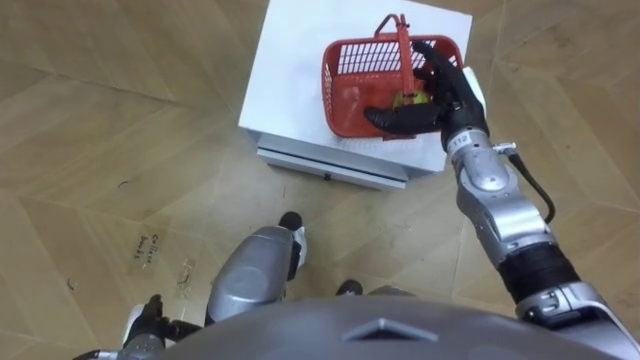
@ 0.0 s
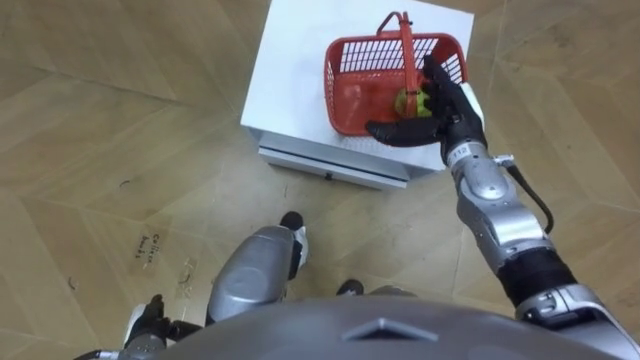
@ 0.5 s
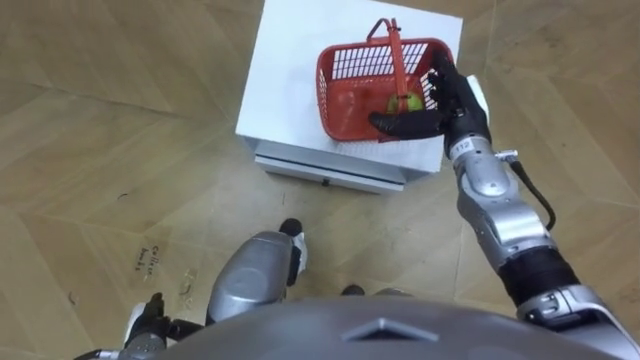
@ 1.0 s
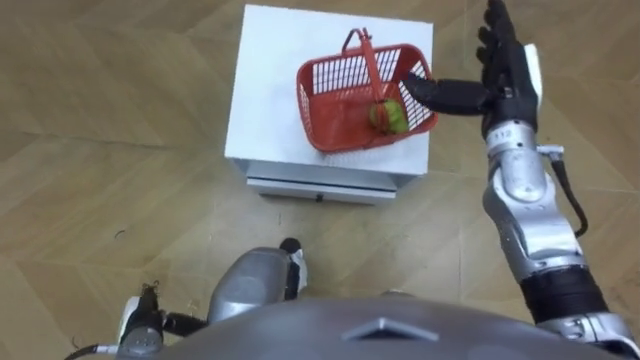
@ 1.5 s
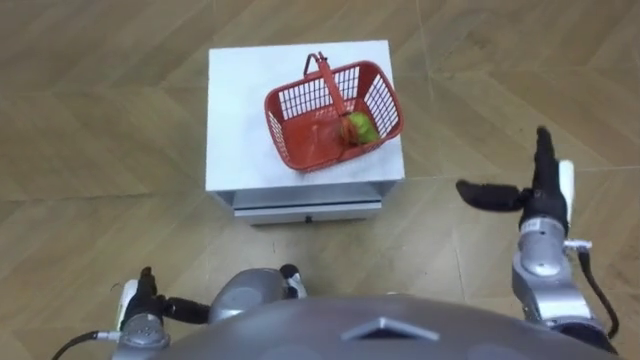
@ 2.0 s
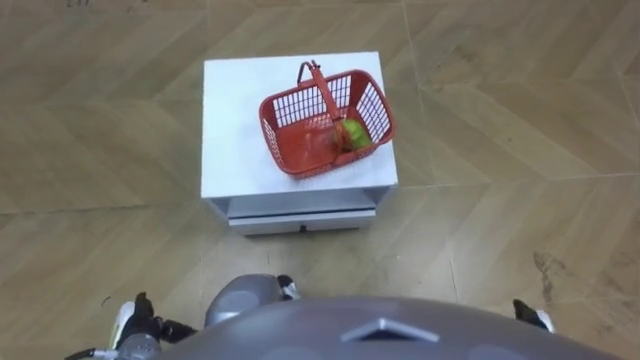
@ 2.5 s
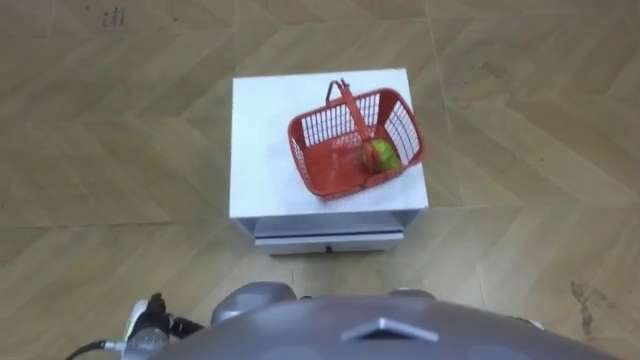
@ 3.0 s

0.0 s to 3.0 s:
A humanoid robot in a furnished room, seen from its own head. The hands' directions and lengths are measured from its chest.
Task of the whole recording: Pick up the fruit basket from the floor and place it on the cabinet.
0.0 to 1.5 s: The right hand shifts by some 5 cm.
1.5 to 3.0 s: The right hand heads backward and downward, covering some 35 cm.

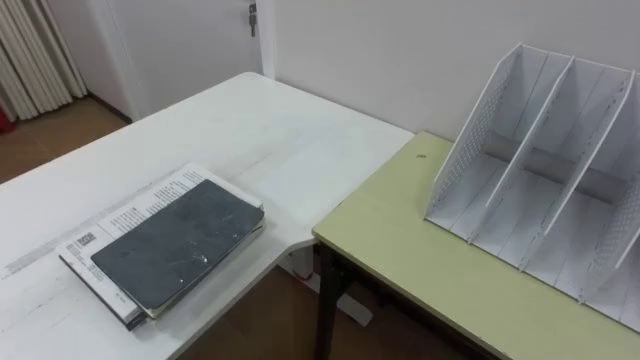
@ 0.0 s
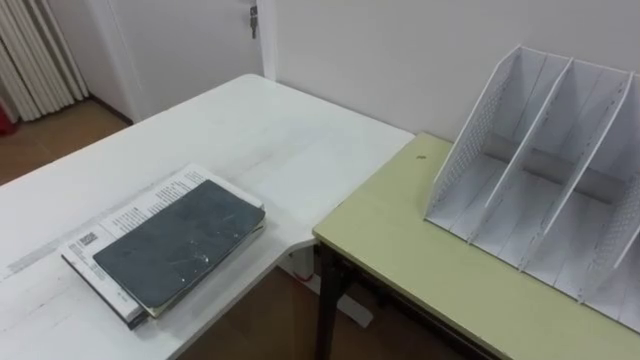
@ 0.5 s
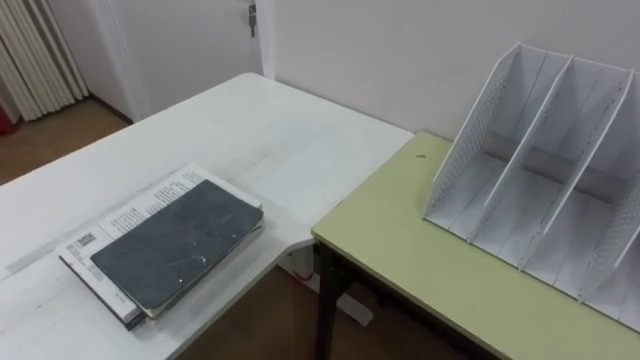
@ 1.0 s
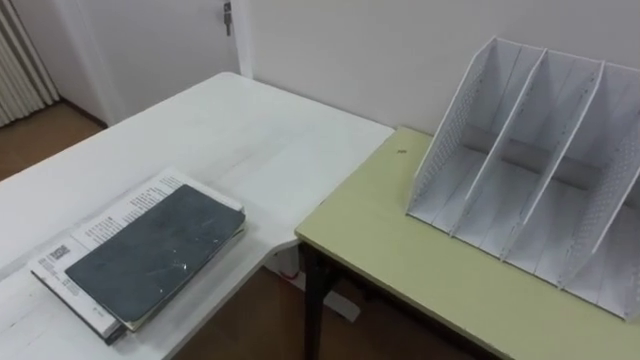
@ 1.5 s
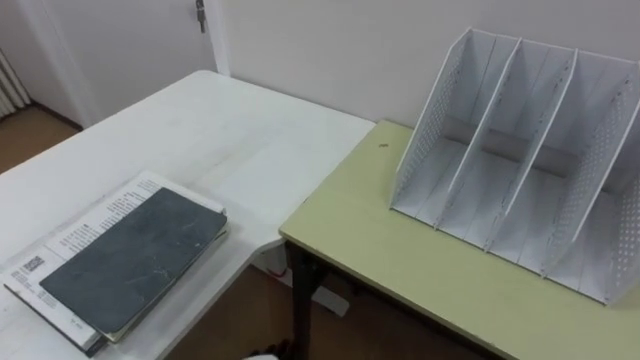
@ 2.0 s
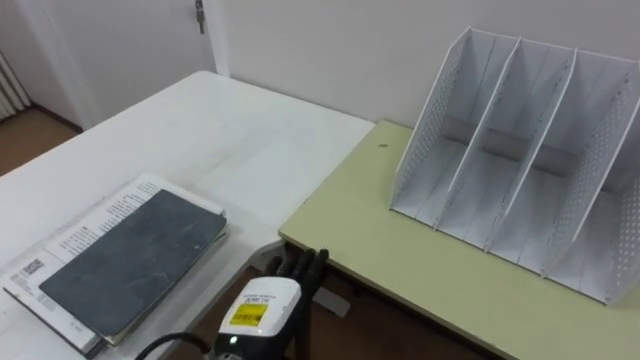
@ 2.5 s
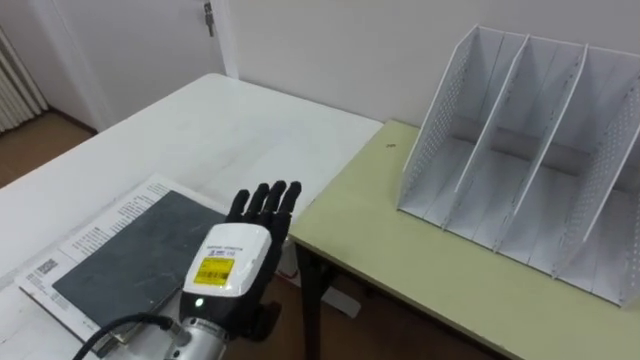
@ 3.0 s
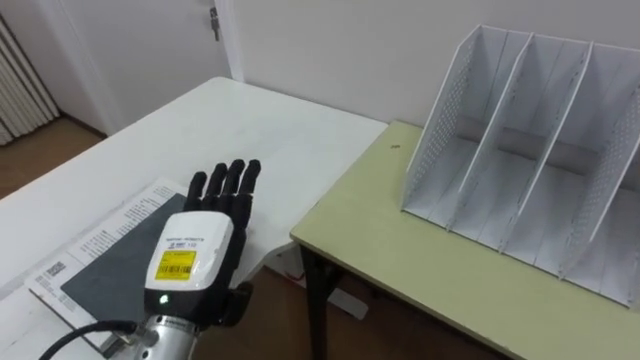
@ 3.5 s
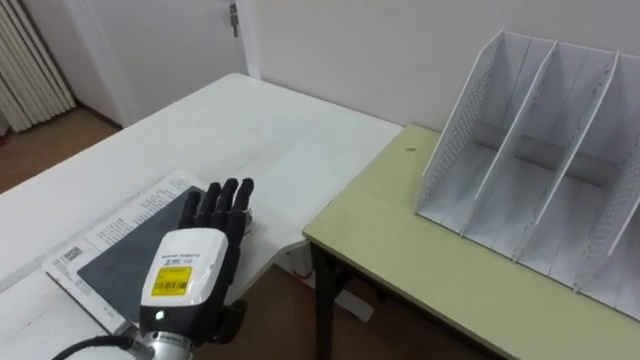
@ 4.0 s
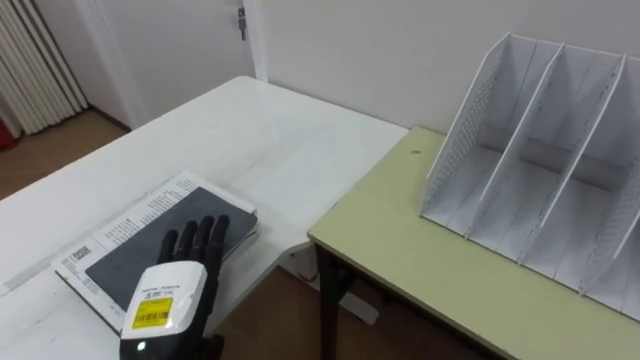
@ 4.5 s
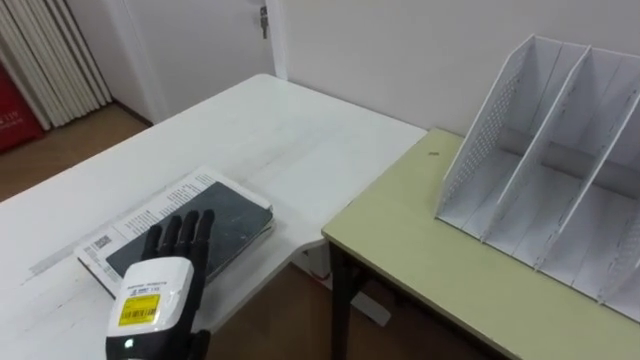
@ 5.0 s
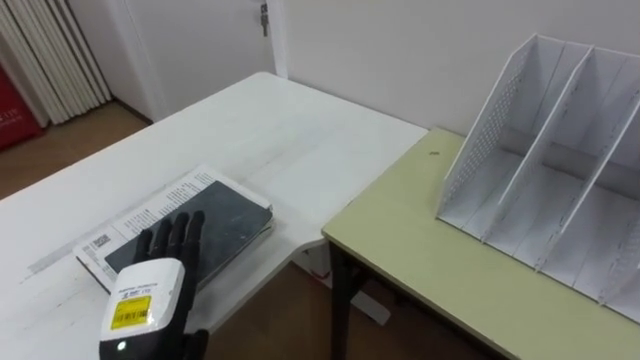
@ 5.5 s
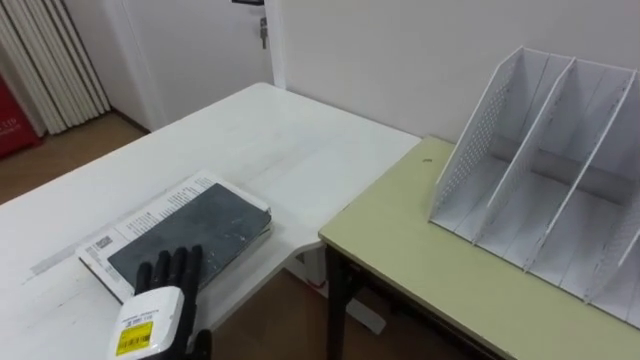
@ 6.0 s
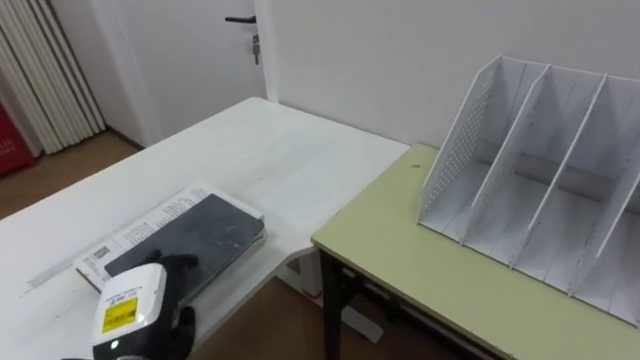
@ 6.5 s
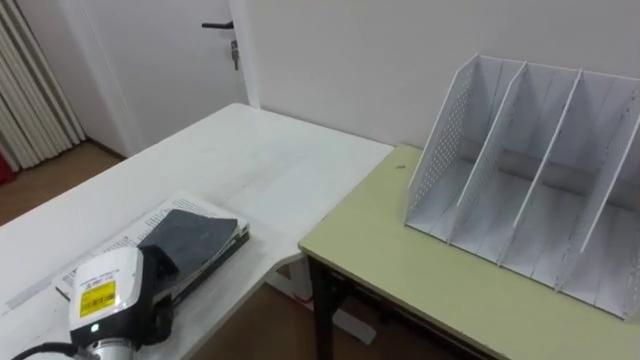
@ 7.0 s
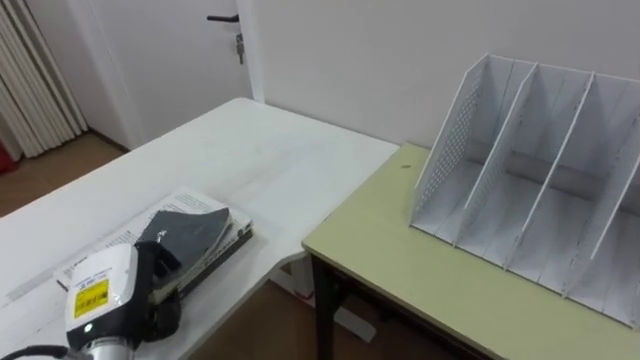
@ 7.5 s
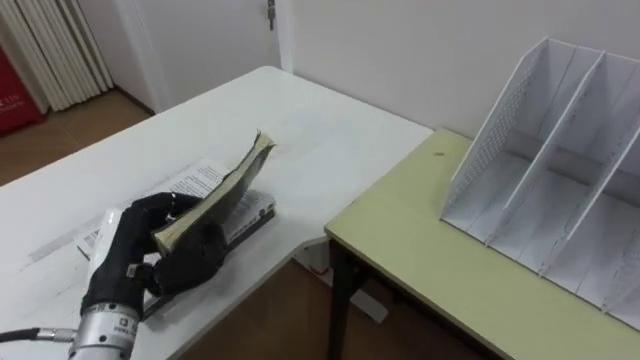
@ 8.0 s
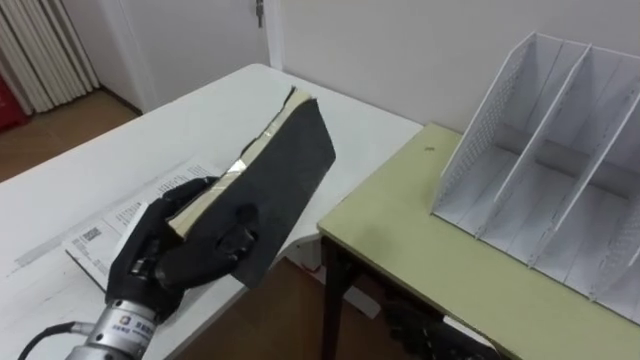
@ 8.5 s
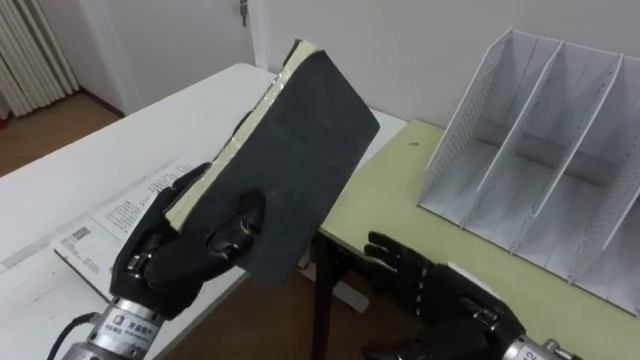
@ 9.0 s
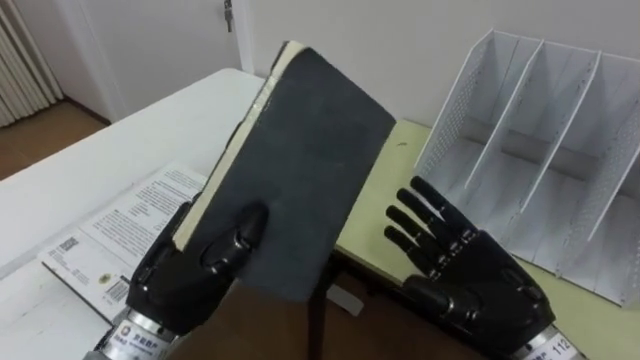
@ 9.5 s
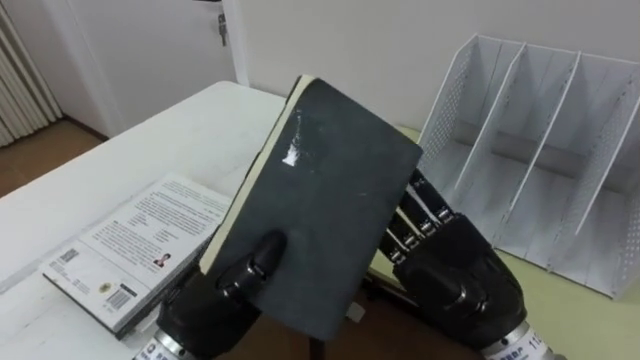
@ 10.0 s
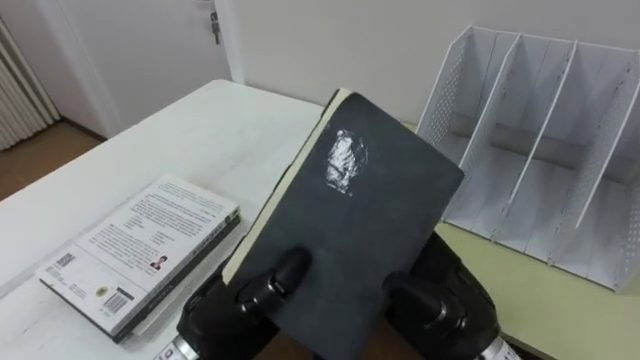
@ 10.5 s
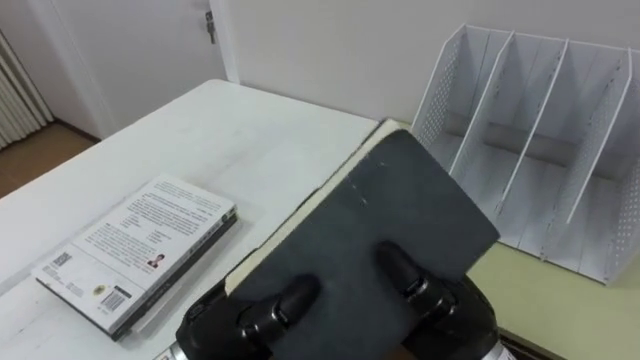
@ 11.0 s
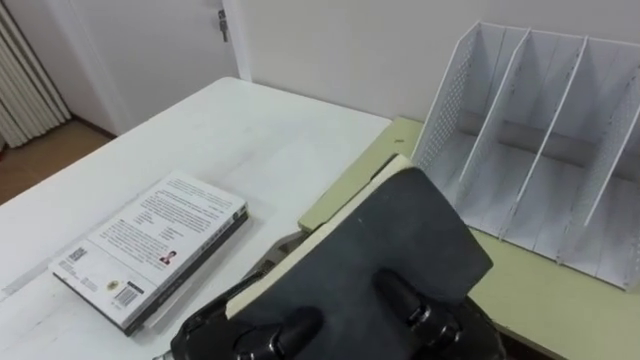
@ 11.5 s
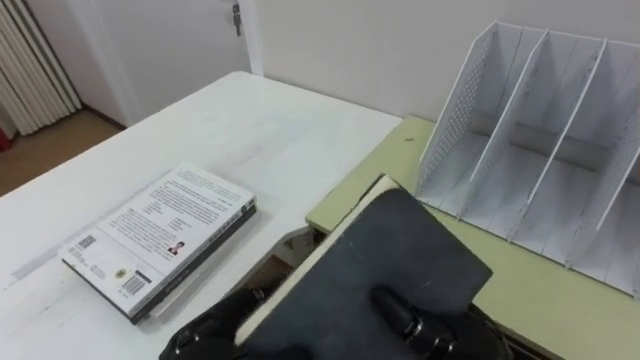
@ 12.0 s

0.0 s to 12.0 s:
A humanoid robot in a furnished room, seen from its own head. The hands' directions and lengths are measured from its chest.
Task of the whole recording: Put the books on the table onto the bookshelf.
4.0 to 6.0 s: The left hand travels downward and to the left by about 10 cm.
6.0 to 8.0 s: The left hand moves upward, approximately 10 cm, and closes up.
8.0 to 10.0 s: The left hand travels to the right by about 10 cm.
10.0 to 12.0 s: The right hand shifts by some 5 cm, and closes; the left hand shifts by about 5 cm.

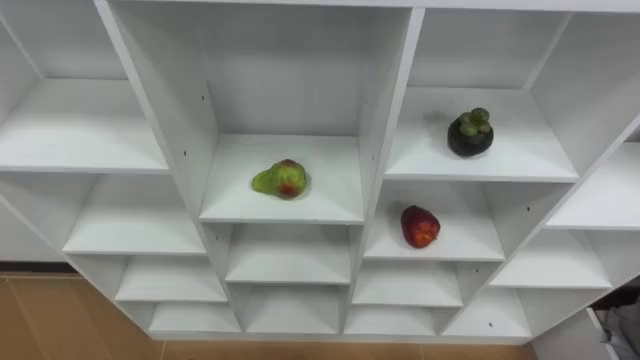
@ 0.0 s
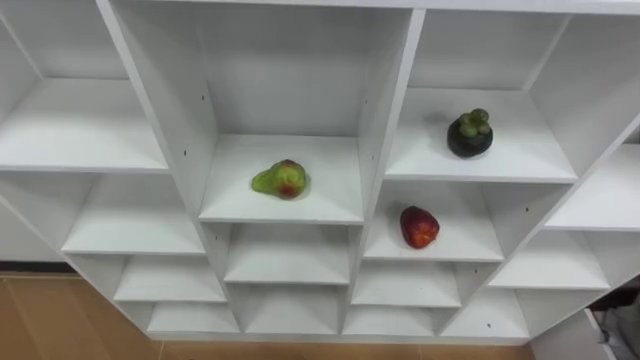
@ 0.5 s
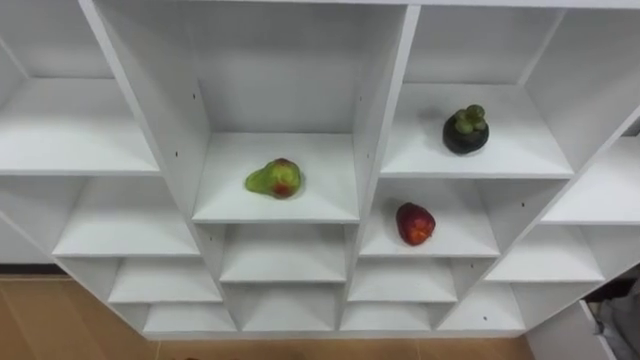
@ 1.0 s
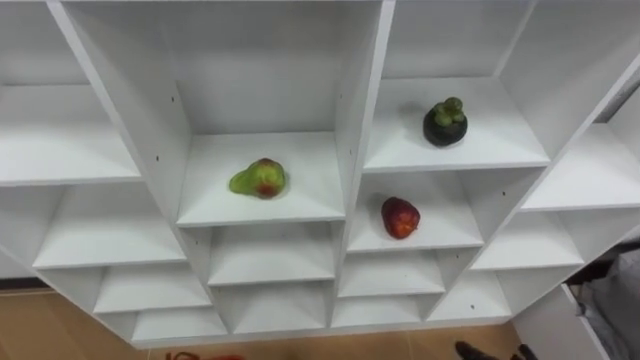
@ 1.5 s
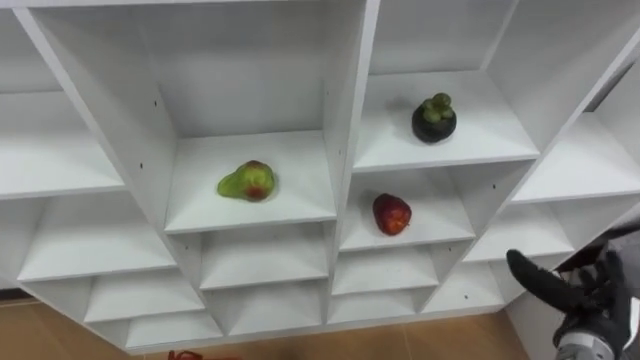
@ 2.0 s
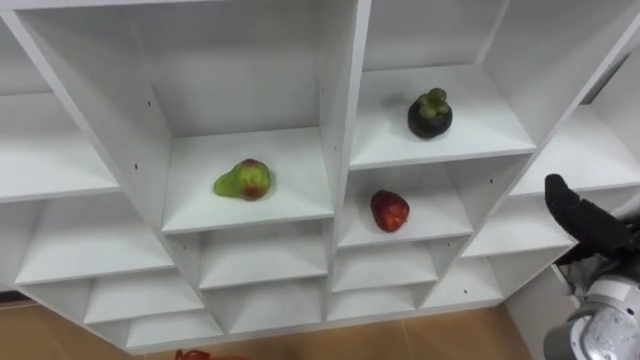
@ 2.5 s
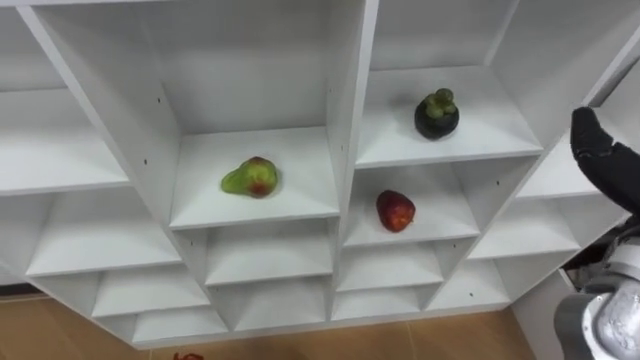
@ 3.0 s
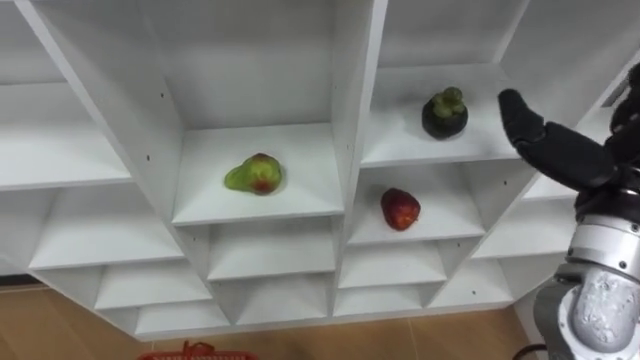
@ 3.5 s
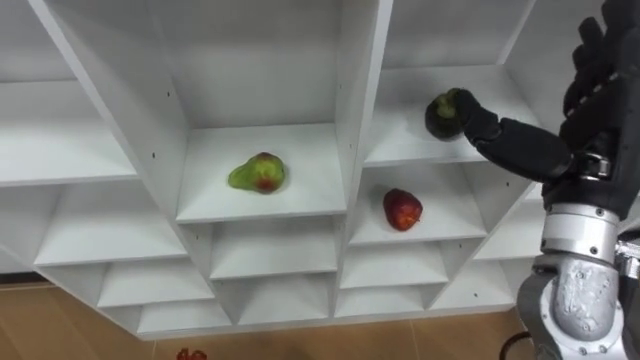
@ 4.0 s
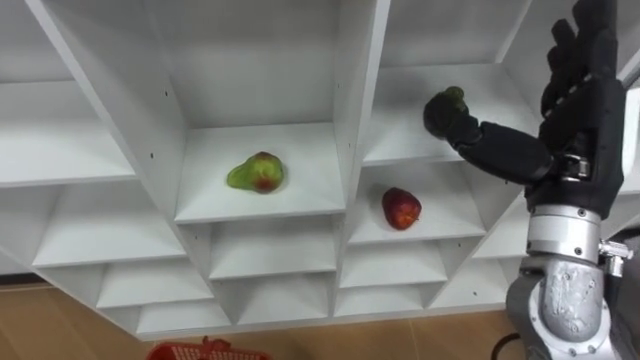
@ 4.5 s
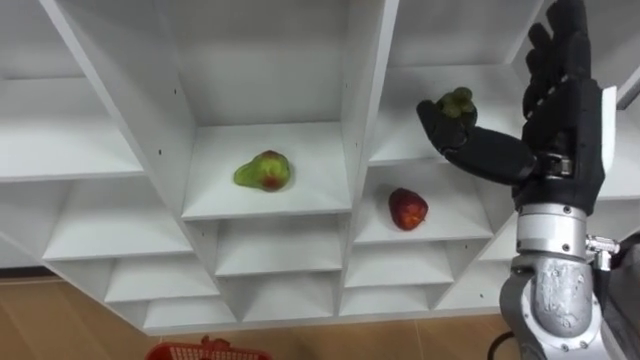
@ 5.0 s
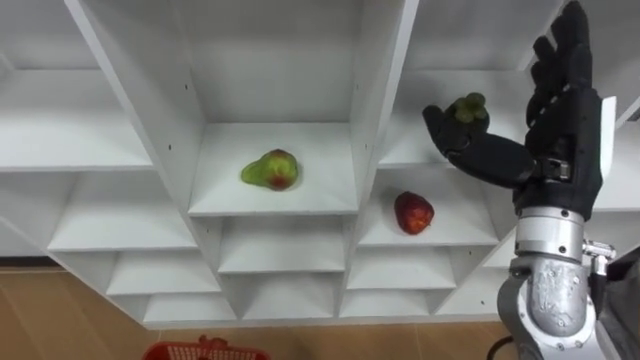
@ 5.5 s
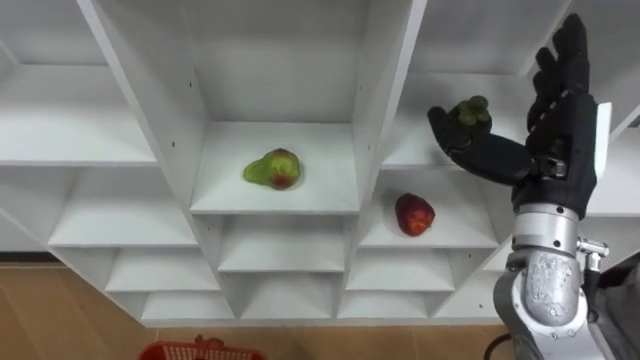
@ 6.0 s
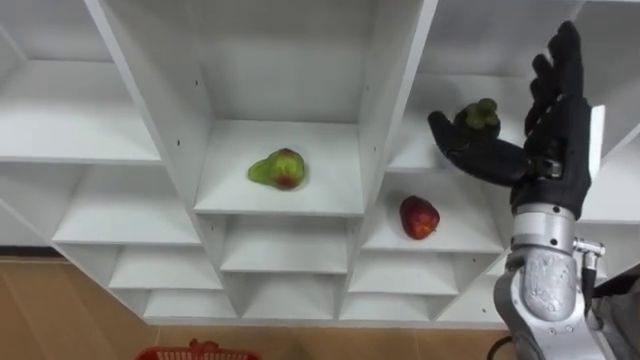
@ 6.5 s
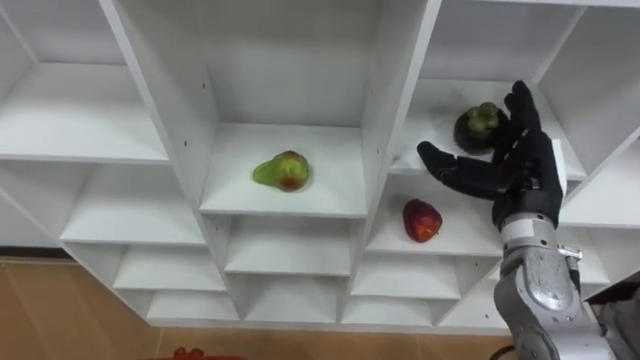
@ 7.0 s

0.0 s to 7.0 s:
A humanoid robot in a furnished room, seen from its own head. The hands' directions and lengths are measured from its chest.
Task of the whole recording: Hold the basket and collect the fruits from 3 different cells of the closet into it.
3.5 to 5.0 s: The right hand shifts some 5 cm to the left.
5.0 to 7.0 s: The right hand shifts approximately 10 cm downward.
